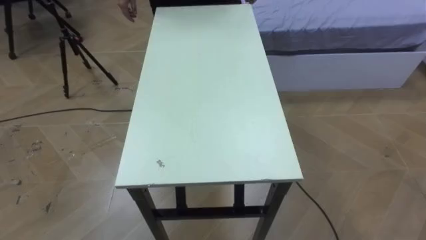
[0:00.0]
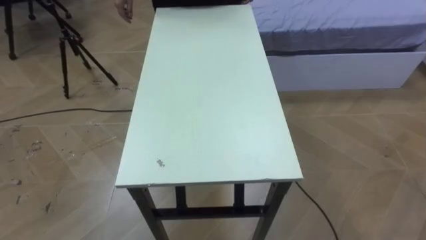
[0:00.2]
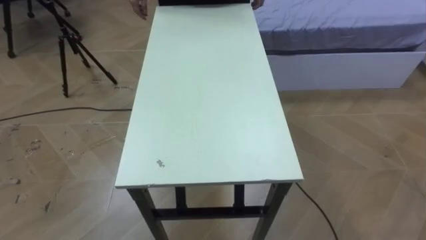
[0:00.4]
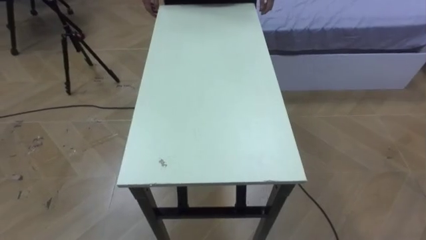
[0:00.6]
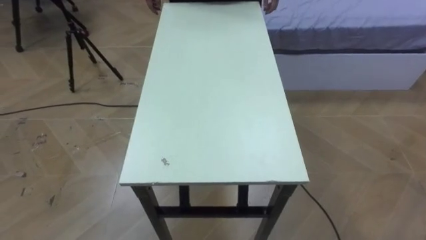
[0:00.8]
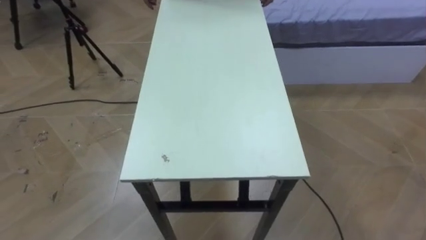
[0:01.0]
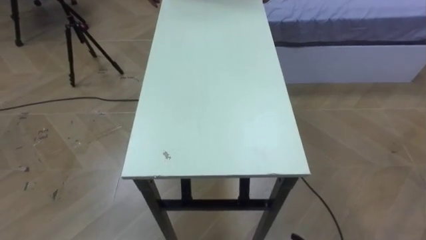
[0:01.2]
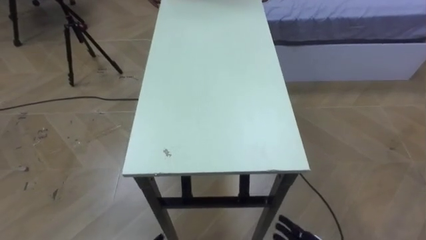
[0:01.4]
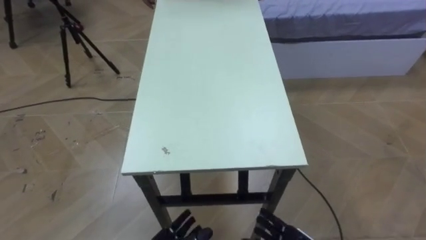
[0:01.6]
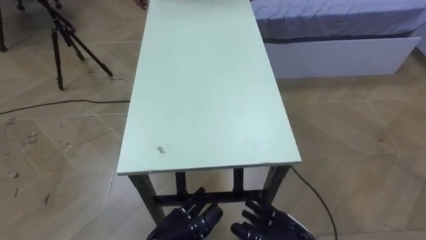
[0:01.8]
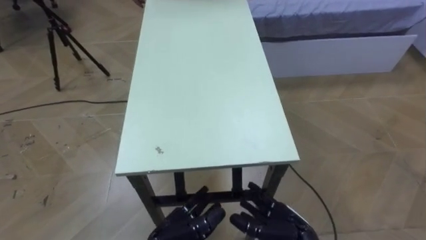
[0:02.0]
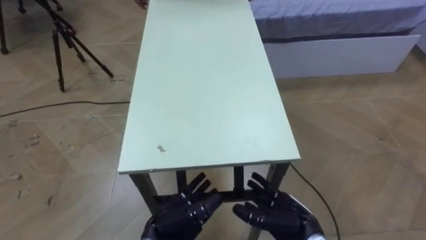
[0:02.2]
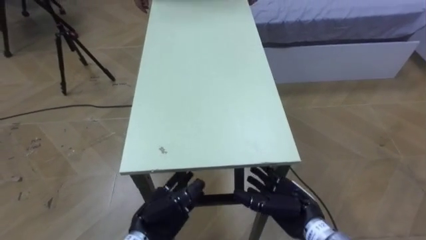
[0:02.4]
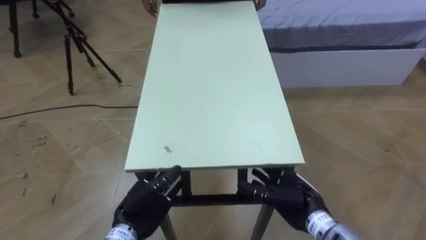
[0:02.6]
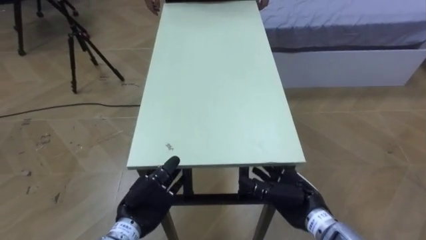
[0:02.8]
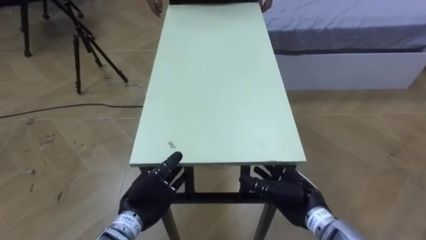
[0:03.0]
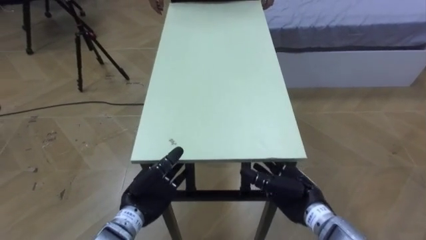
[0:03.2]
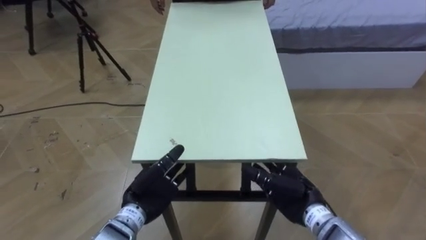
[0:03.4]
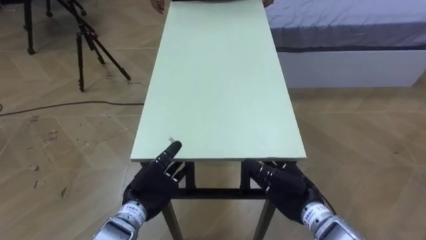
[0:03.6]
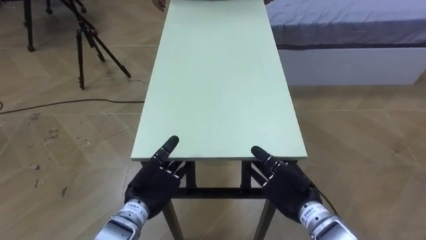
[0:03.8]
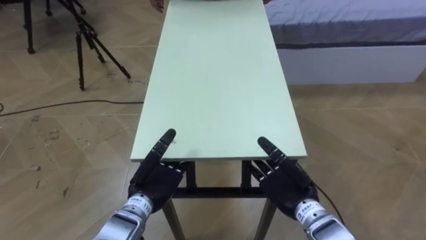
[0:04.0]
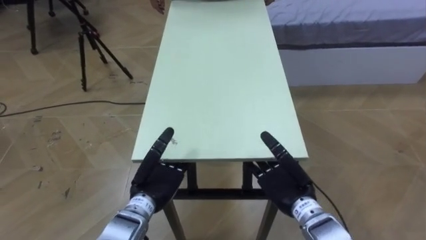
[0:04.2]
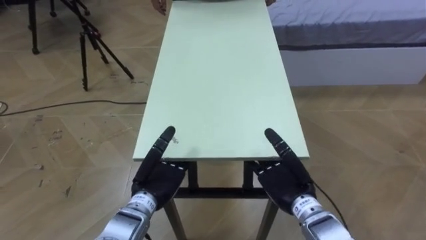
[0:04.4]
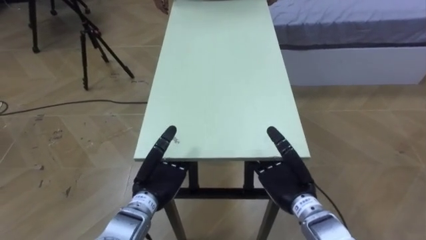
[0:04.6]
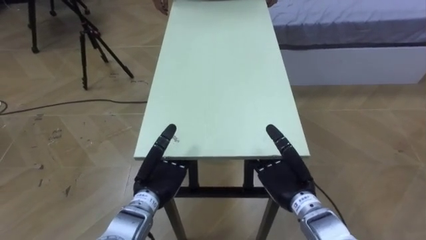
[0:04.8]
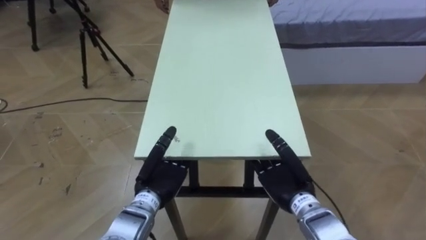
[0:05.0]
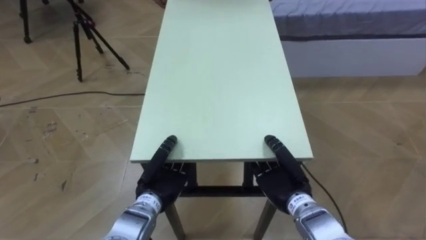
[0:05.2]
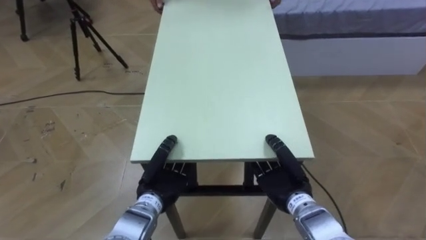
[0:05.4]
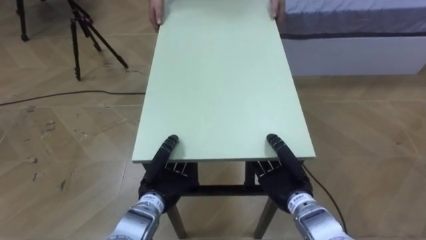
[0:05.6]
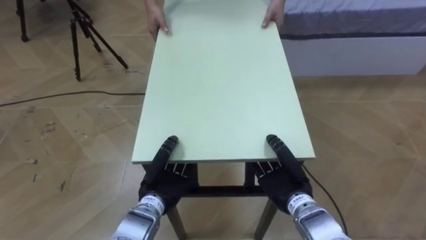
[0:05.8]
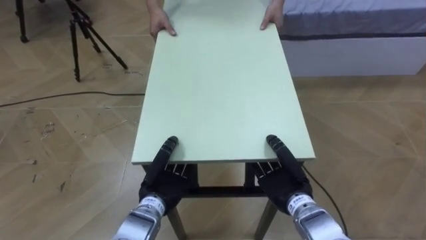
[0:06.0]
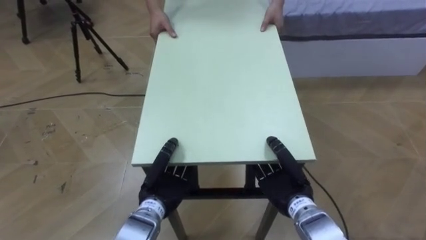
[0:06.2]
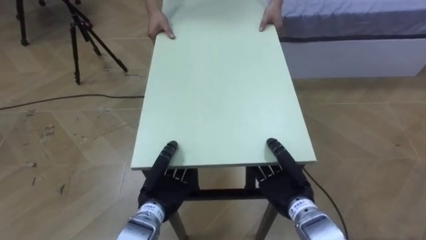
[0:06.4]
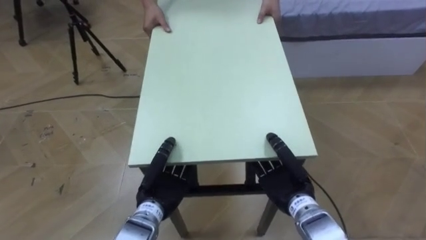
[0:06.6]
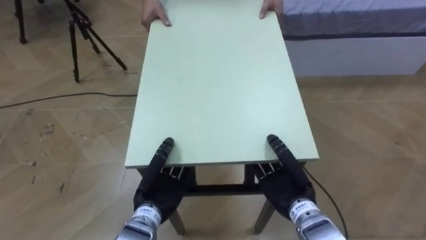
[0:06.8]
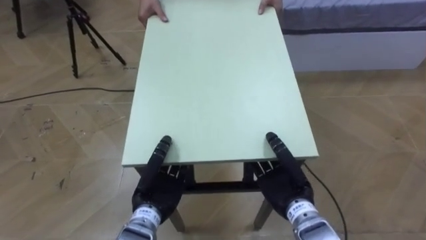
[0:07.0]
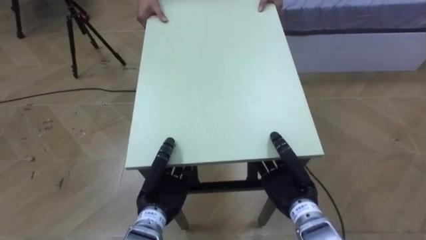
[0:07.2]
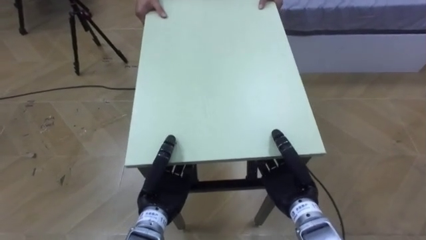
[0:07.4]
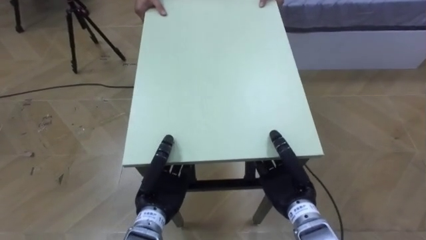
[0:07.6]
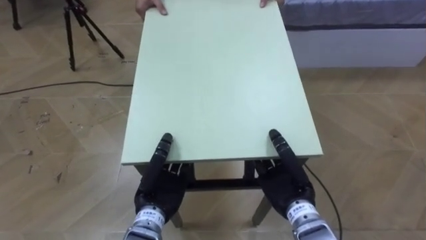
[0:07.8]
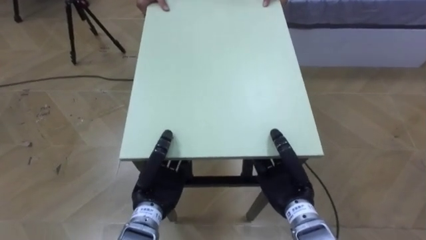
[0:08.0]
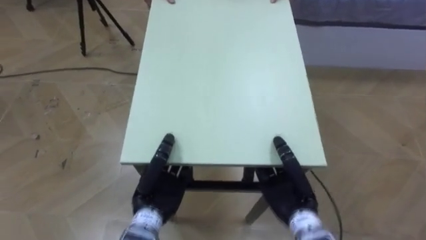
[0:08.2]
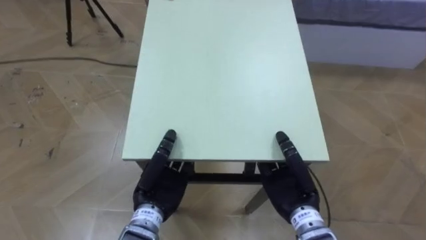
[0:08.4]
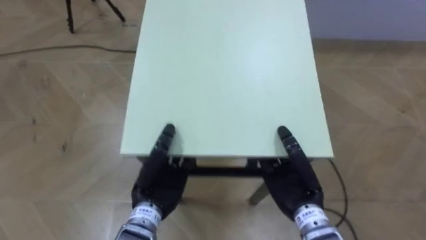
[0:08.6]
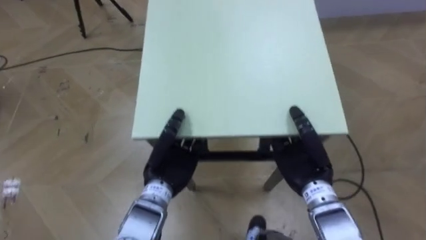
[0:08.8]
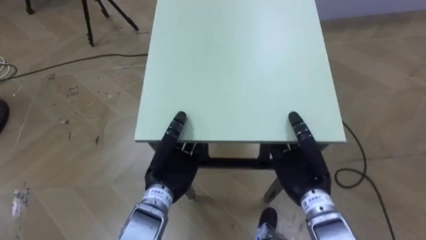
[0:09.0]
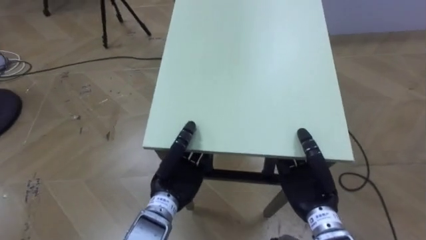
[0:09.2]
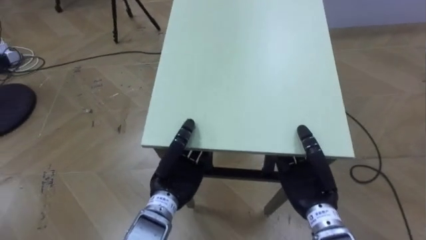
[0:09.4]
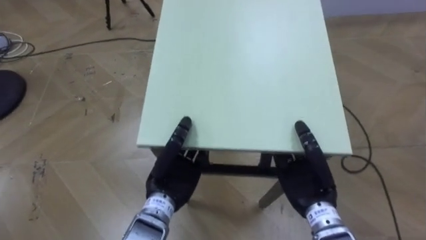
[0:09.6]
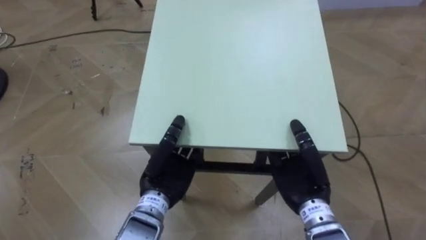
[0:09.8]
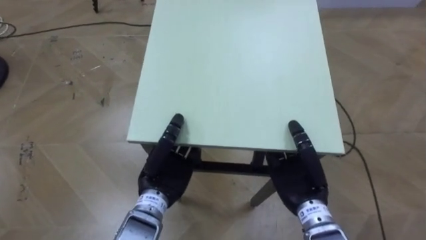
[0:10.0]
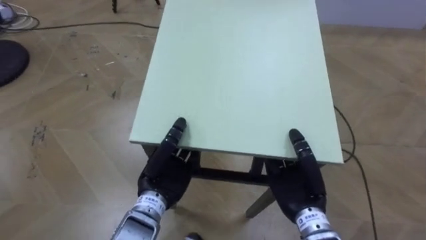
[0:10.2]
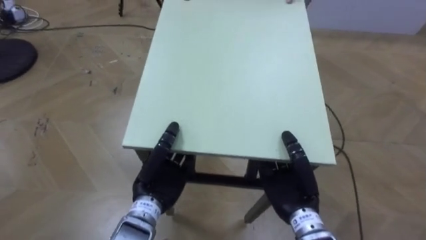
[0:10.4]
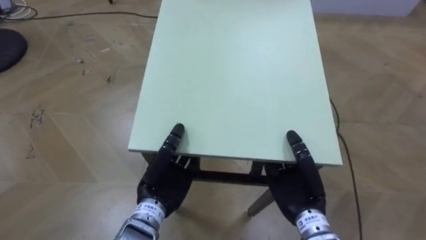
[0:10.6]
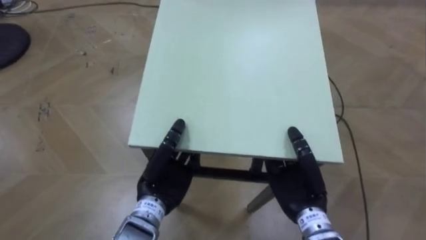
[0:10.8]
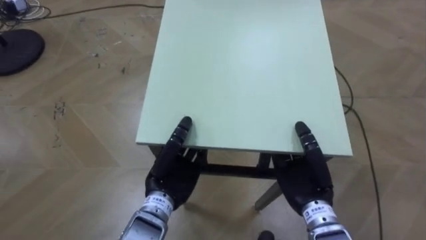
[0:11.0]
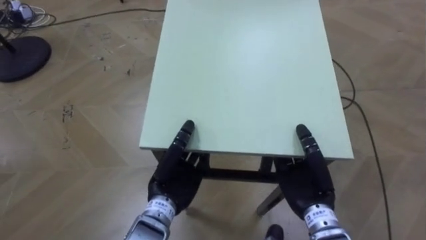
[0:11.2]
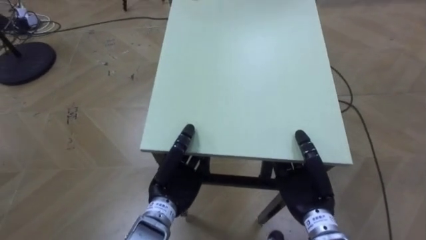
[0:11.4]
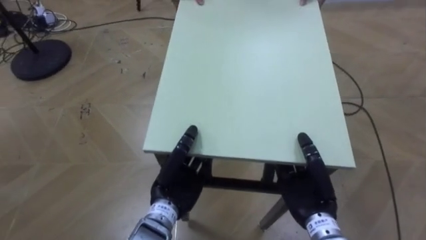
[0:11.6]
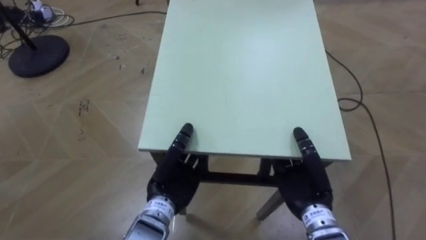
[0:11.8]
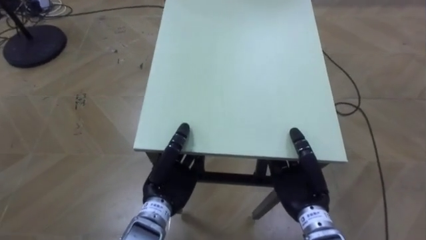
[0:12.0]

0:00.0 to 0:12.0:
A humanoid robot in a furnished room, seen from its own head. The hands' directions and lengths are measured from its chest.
Task of the whole recording: Move the table to the back left with someone.
0:04.4 to 0:06.0: The left hand closes; the right hand closes its fingers.

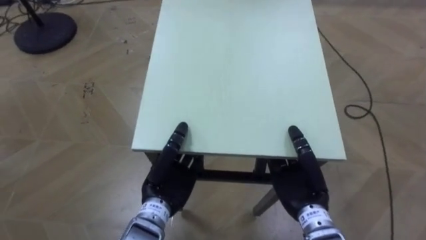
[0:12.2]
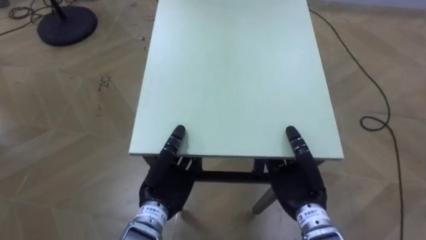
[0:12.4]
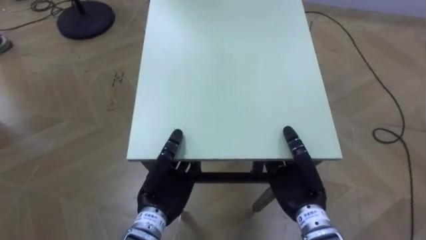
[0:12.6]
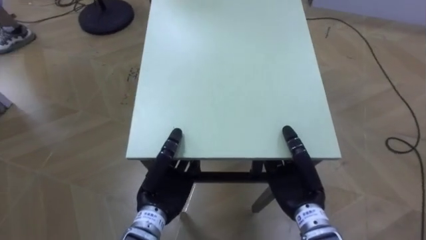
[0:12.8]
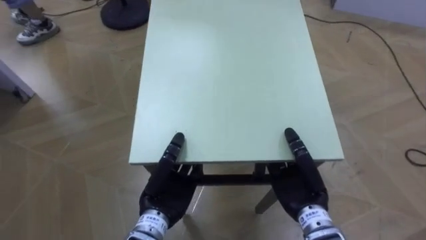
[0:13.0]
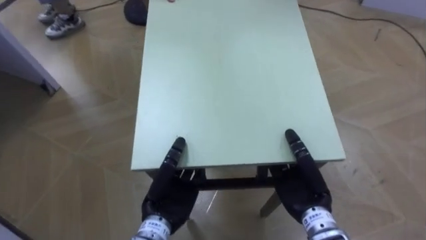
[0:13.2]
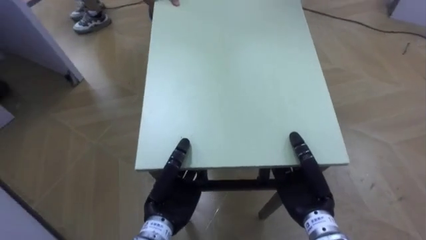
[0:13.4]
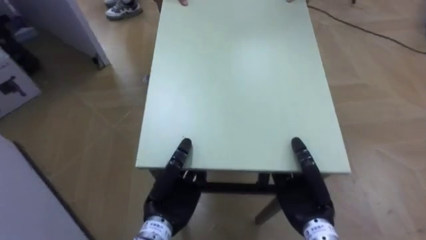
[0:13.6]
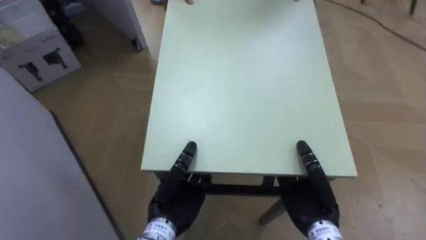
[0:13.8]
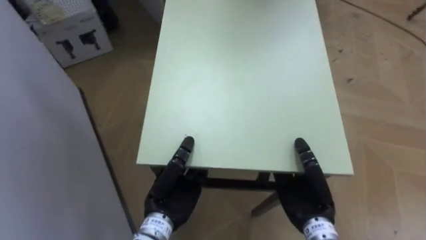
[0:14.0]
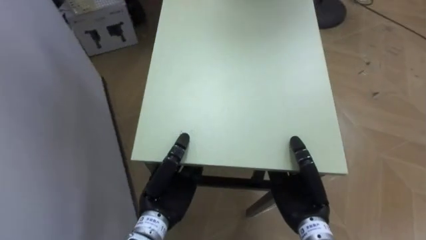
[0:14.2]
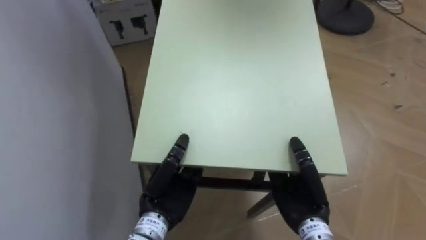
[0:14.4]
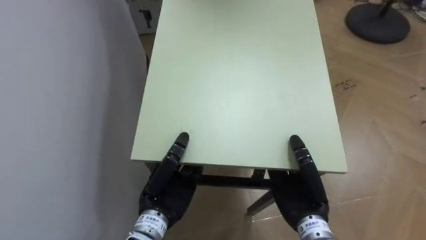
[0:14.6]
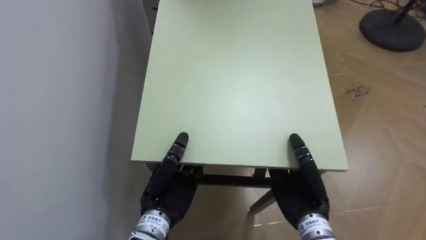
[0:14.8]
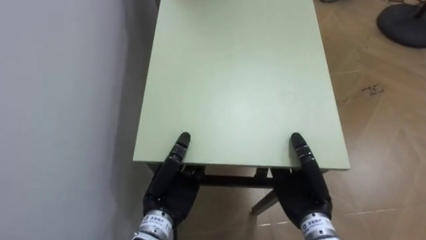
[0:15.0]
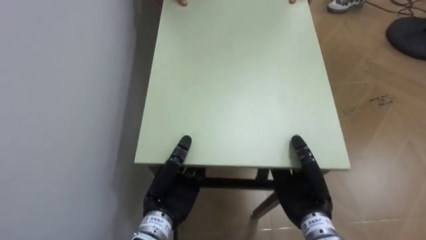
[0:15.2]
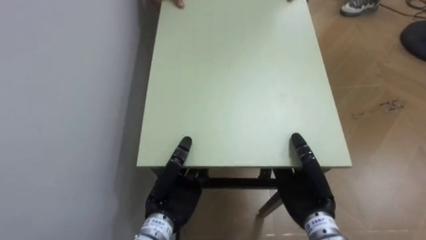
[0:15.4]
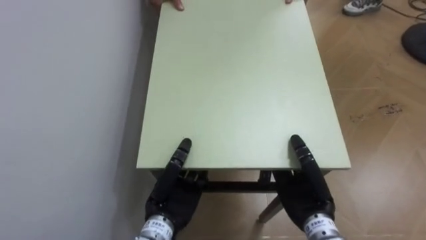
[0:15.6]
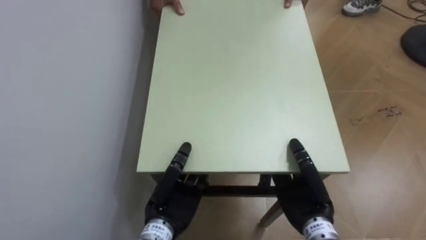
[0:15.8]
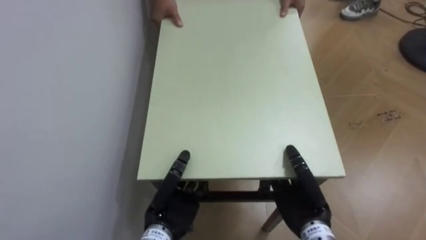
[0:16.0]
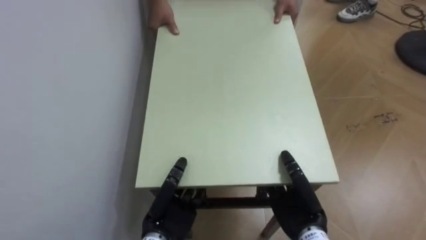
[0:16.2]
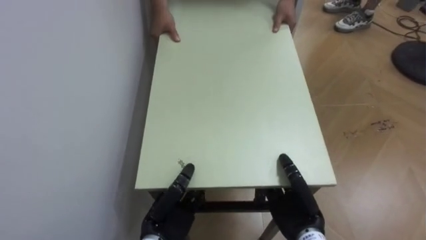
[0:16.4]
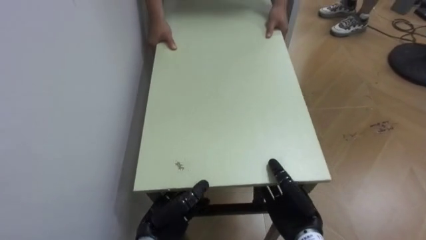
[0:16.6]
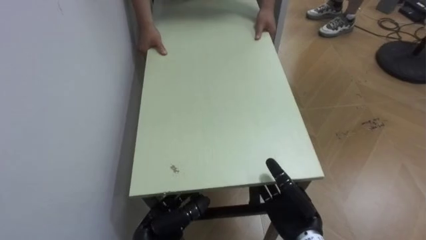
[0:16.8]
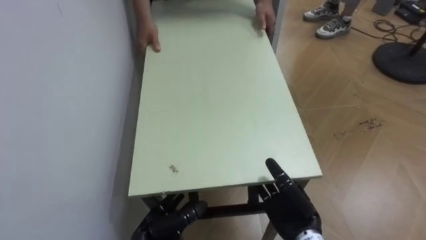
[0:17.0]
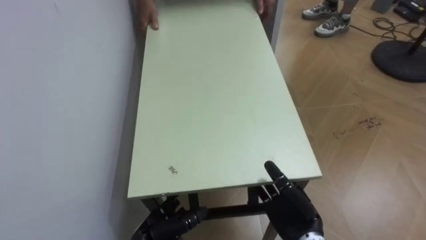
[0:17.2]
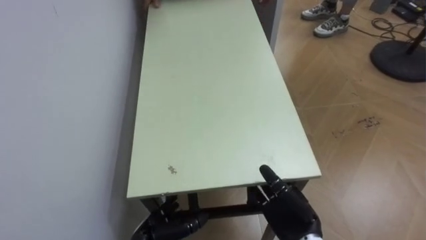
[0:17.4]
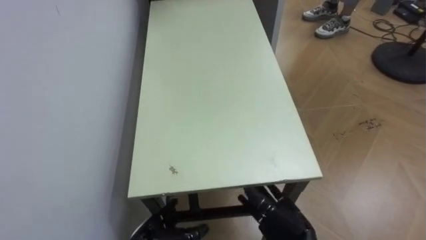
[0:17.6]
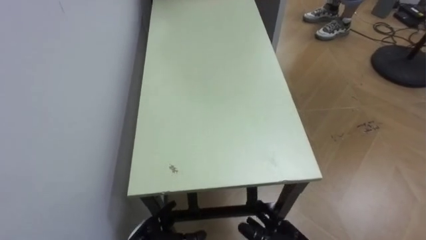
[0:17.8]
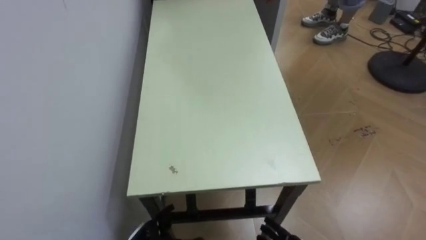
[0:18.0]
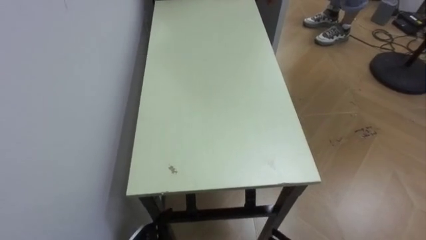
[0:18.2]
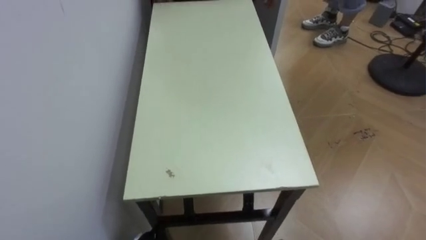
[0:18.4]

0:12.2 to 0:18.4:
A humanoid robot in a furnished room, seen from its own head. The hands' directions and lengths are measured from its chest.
Task of the whole recording: Move the table to the back left with someone.
0:12.2 to 0:13.8: The robot turns to its left by approximately 50 degrees.
0:13.8 to 0:15.4: The robot's body swings approximately 35 degrees to its left.
0:15.4 to 0:16.8: The right hand opens. The left hand is displaced downward by about 10 cm, and opens.
